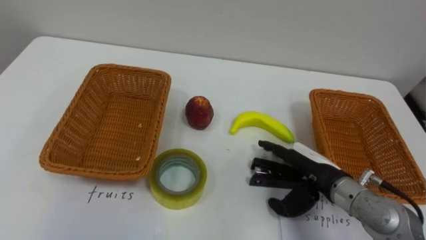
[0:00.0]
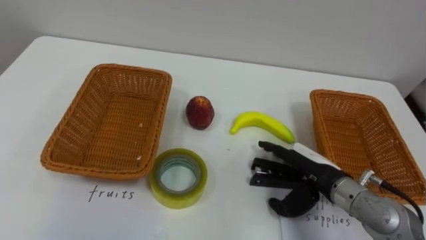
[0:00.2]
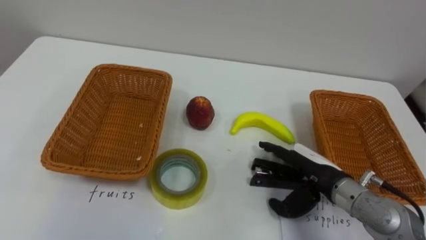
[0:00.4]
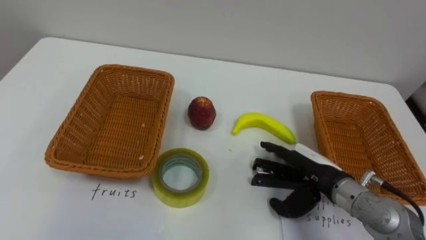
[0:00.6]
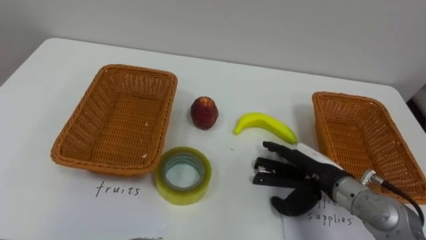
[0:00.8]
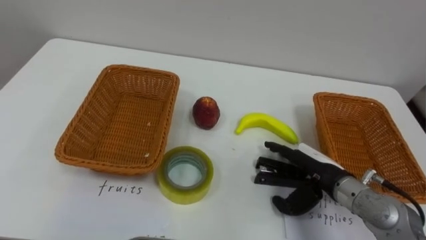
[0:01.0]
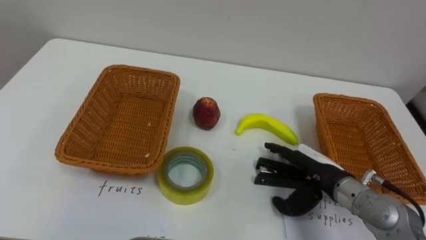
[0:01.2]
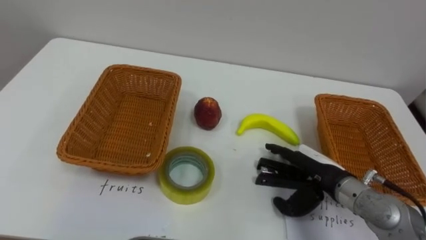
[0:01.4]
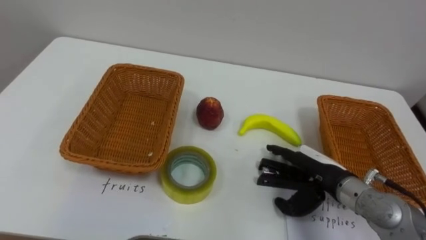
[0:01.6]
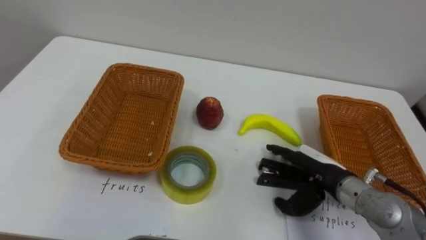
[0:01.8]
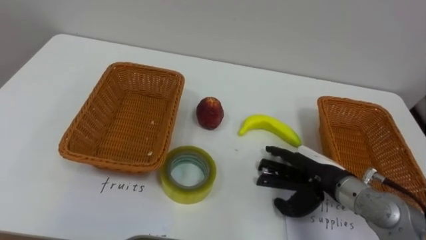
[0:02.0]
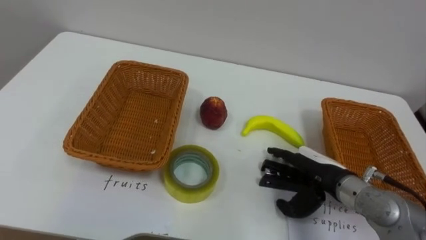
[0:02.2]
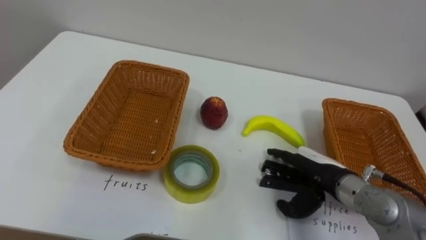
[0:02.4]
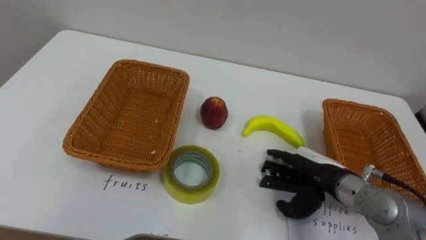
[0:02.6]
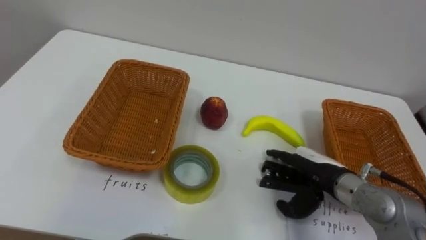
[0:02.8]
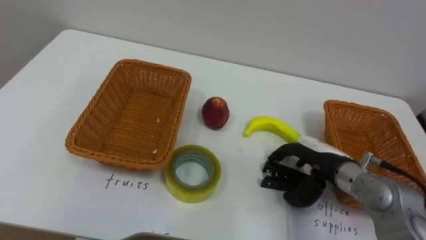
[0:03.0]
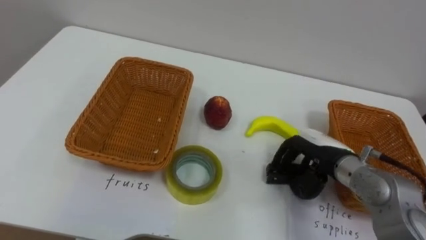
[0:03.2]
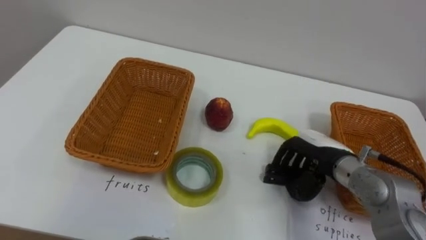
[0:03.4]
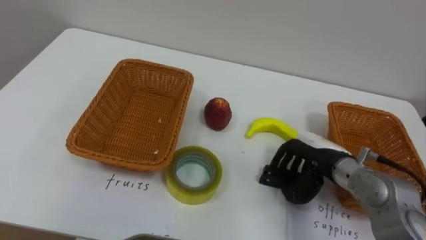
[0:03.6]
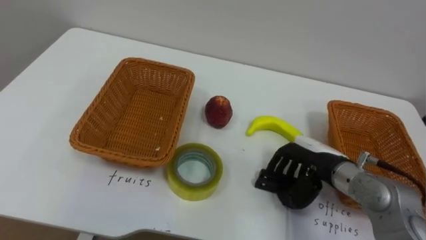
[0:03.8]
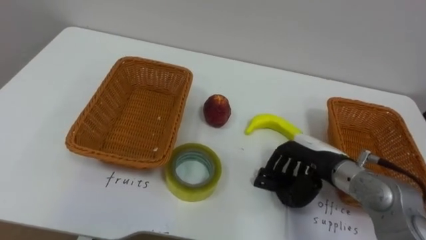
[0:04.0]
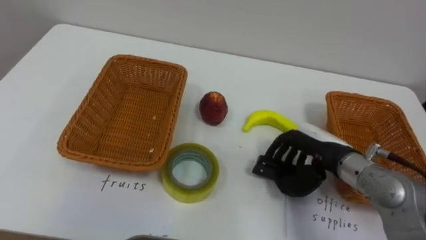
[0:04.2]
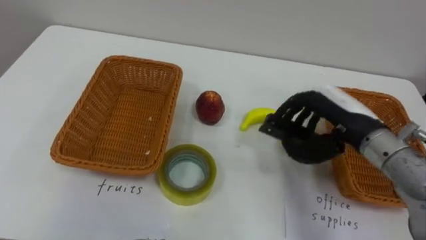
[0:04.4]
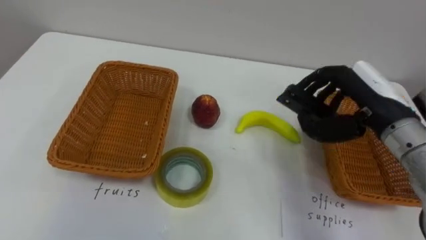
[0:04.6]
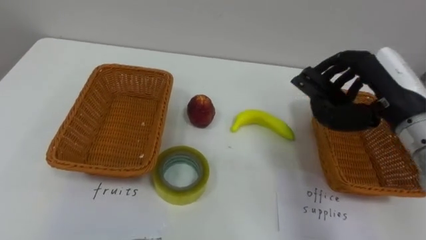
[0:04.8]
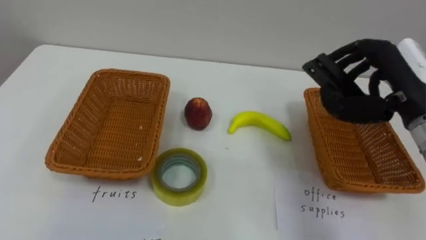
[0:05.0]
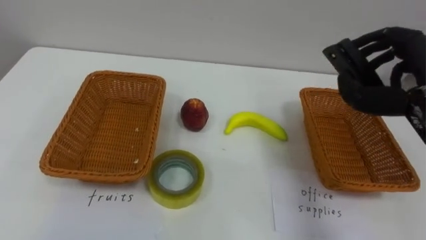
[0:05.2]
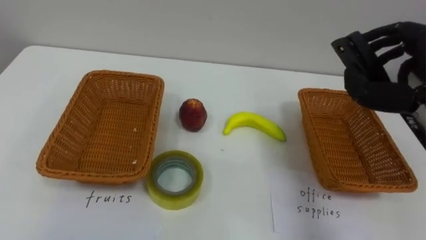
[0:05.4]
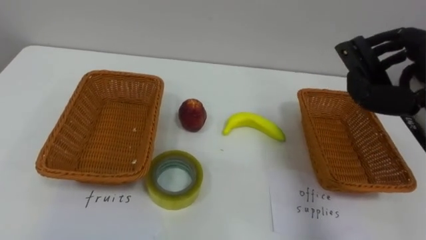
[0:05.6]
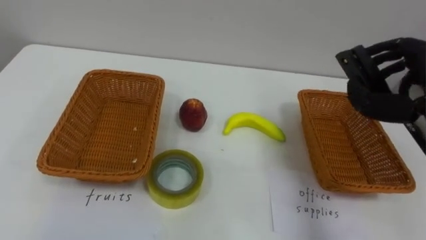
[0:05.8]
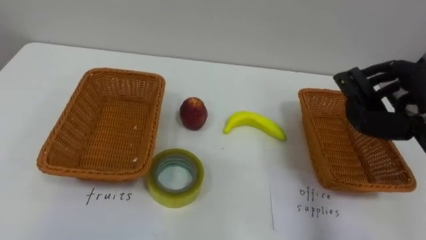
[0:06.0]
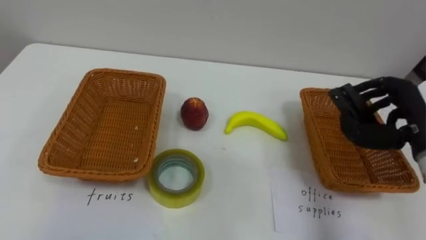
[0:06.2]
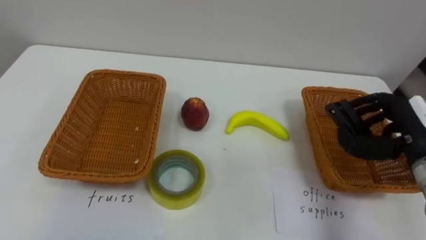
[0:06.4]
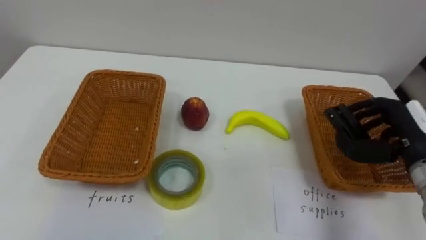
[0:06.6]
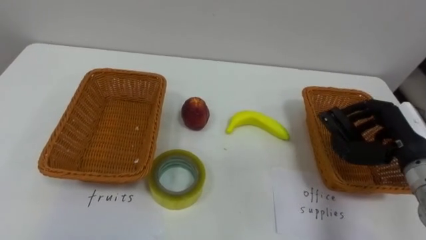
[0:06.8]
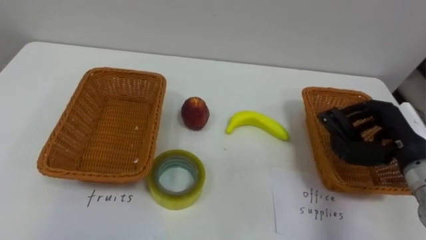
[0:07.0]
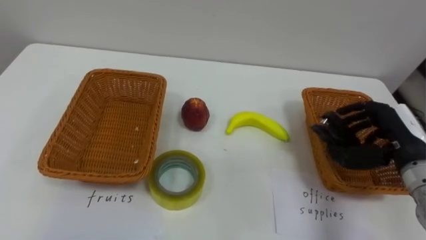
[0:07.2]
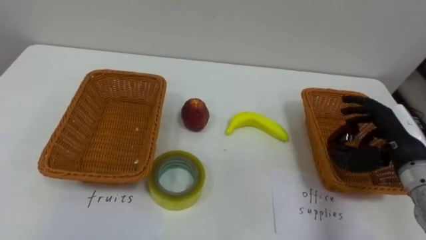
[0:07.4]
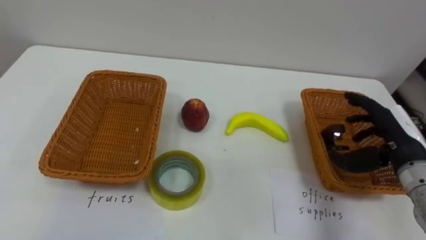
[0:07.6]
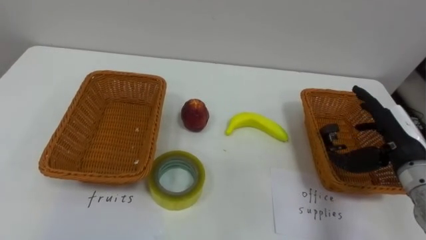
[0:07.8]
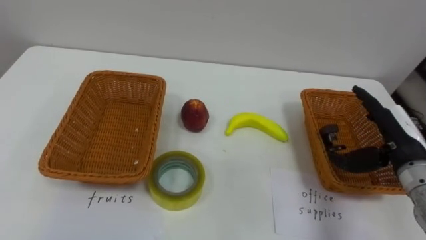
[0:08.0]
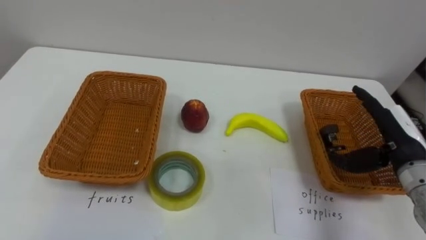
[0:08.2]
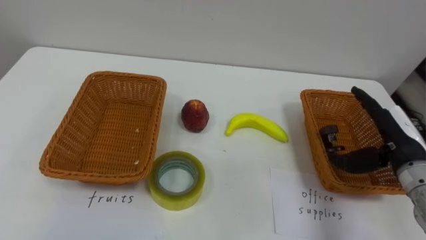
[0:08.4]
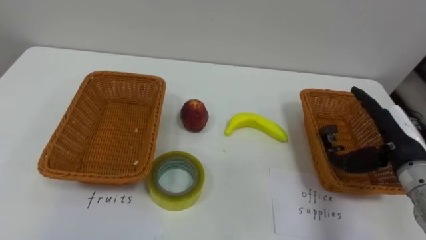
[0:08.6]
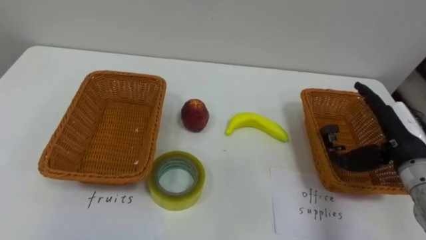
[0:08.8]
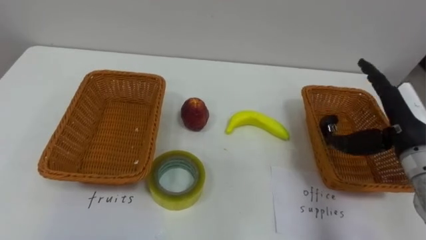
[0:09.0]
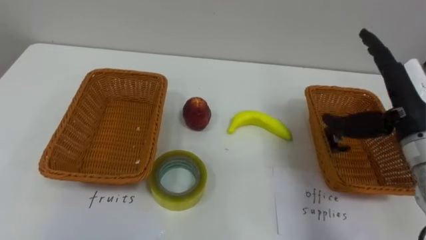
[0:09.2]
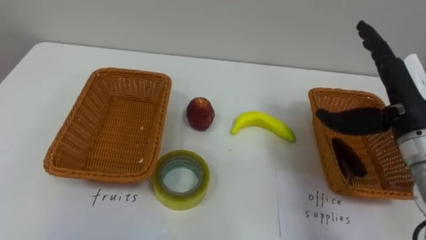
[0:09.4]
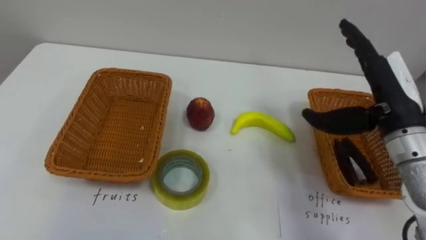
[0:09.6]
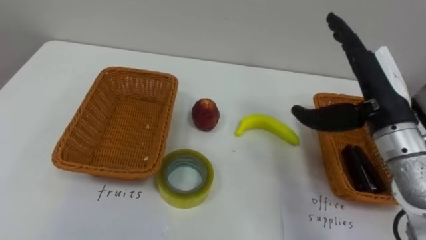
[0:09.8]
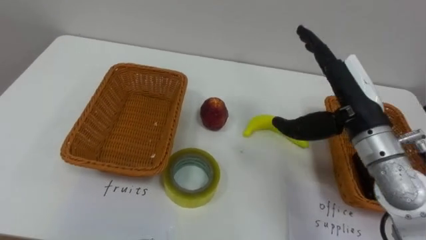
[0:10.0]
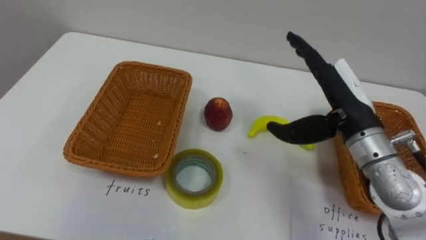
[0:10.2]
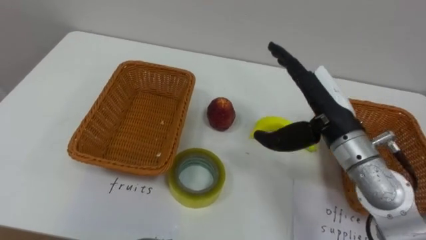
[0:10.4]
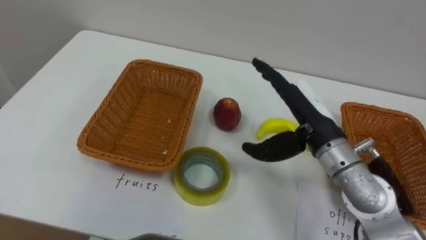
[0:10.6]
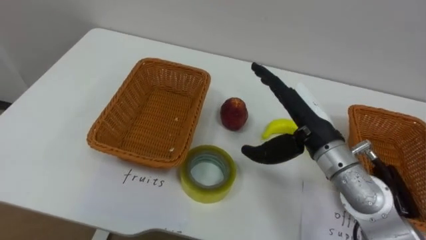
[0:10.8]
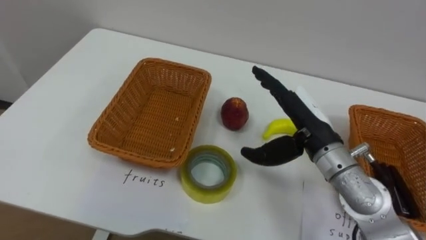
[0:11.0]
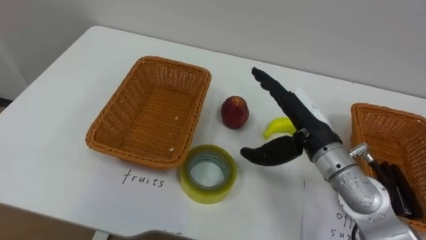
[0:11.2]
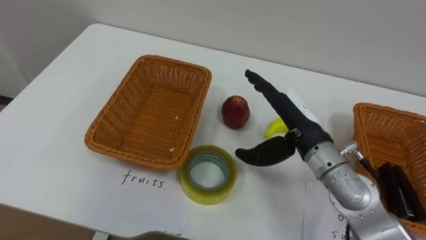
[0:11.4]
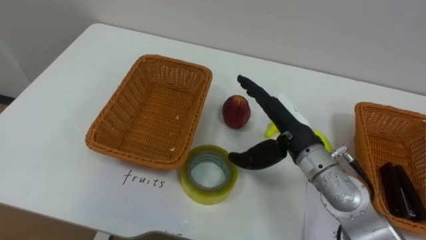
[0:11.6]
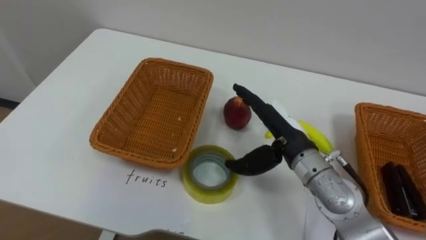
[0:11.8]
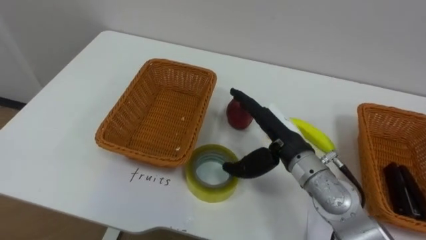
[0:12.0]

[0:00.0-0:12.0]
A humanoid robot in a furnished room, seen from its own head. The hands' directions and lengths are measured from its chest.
Task of the whole recording: Separate the items on the table and place them into the two baskets.
0:03.0 to 0:04.4: The right hand travels upward by about 10 cm, and closes.
0:09.0 to 0:10.4: The right hand is displaced to the left by approximately 15 cm.
0:10.4 to 0:12.0: The right hand is displaced downward and to the left by about 10 cm.

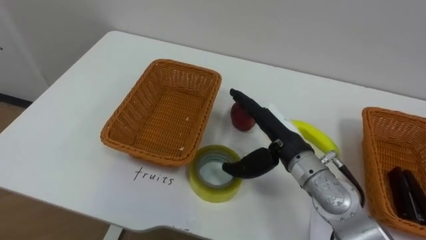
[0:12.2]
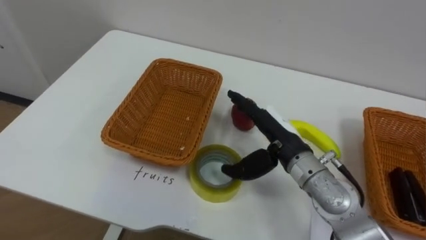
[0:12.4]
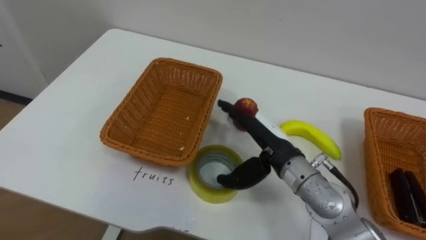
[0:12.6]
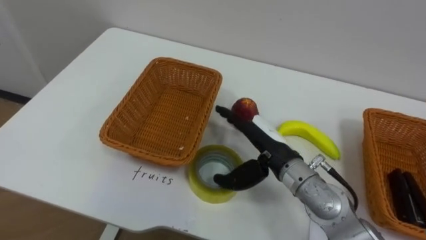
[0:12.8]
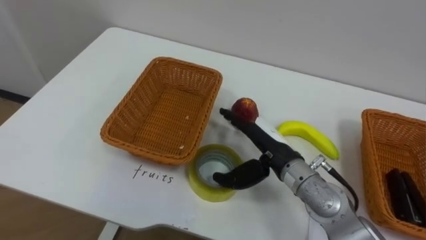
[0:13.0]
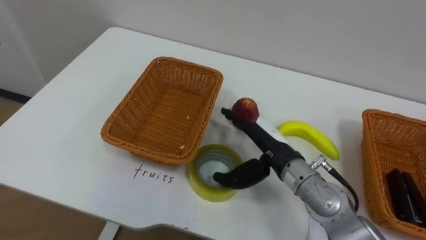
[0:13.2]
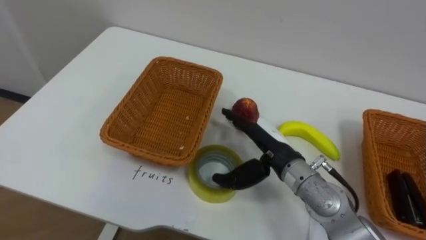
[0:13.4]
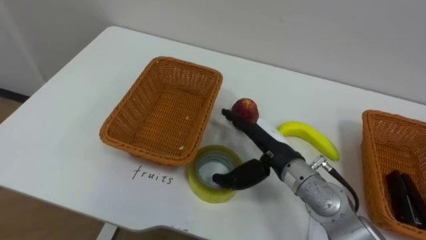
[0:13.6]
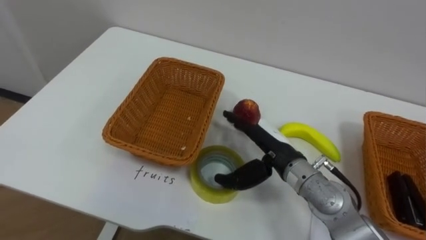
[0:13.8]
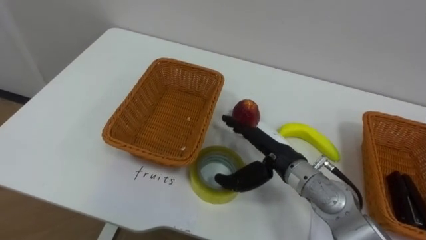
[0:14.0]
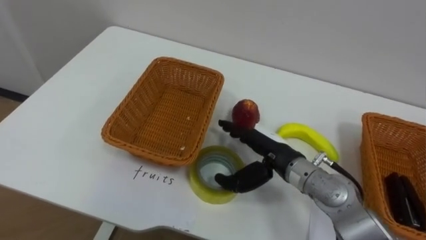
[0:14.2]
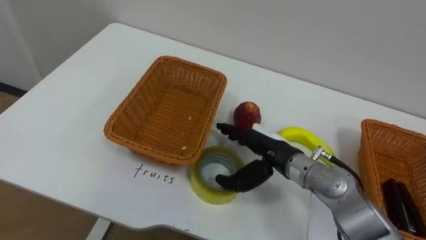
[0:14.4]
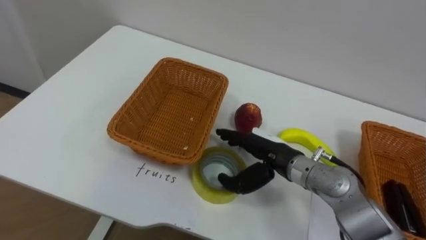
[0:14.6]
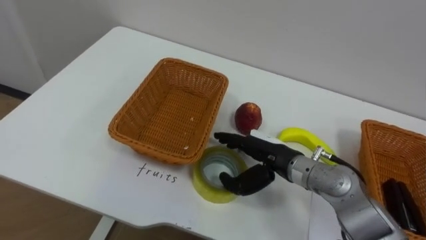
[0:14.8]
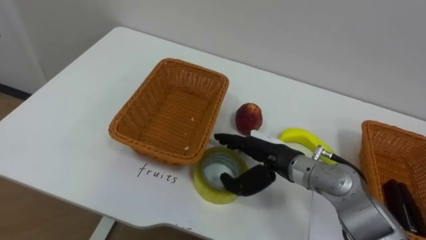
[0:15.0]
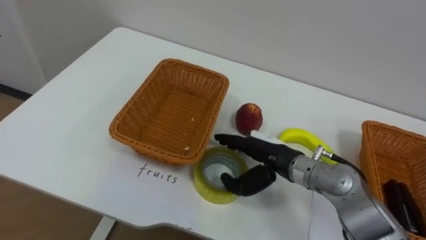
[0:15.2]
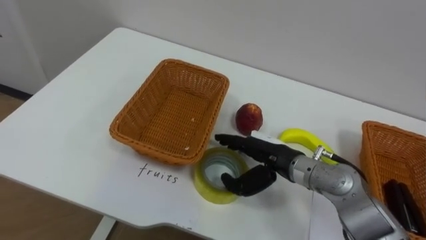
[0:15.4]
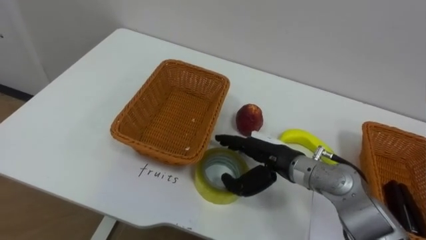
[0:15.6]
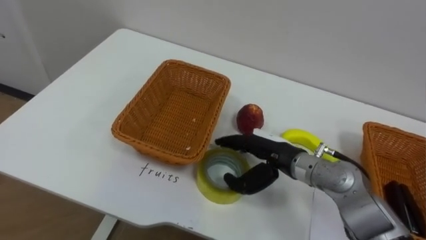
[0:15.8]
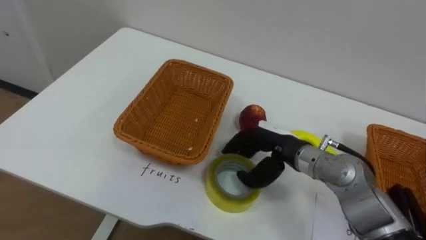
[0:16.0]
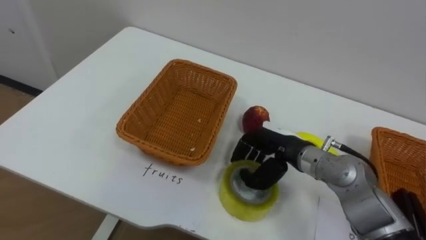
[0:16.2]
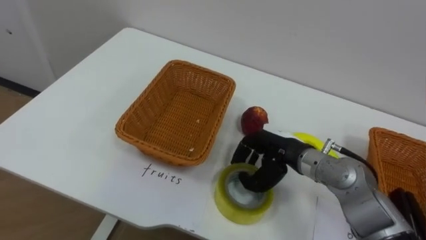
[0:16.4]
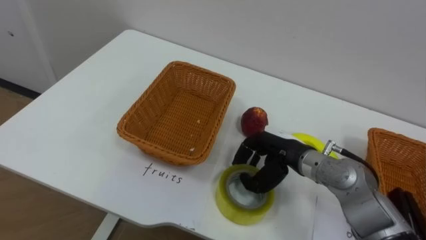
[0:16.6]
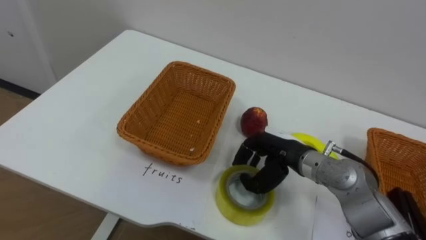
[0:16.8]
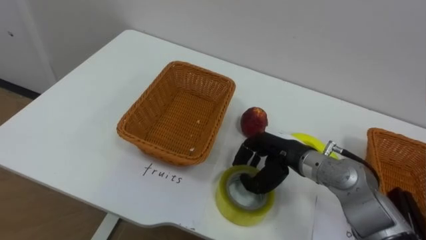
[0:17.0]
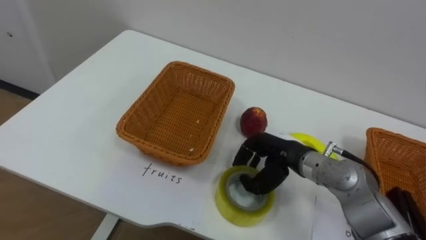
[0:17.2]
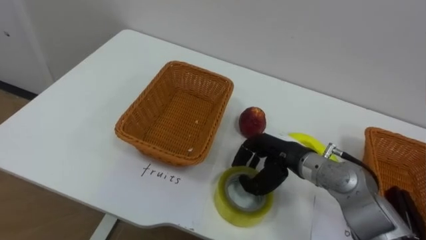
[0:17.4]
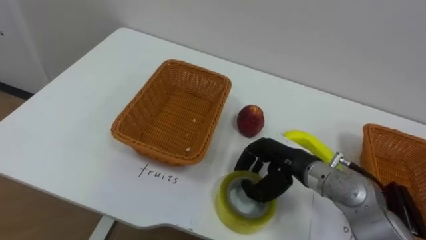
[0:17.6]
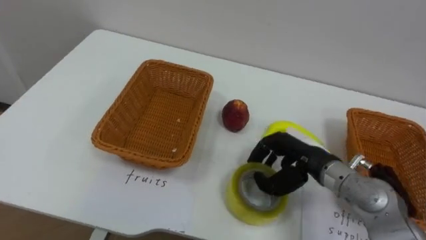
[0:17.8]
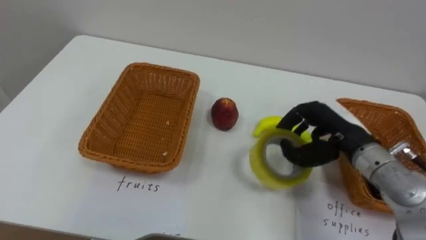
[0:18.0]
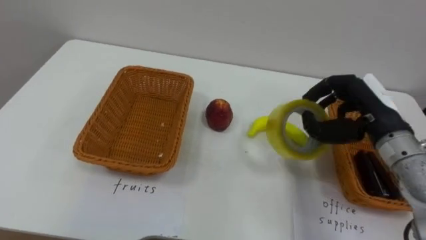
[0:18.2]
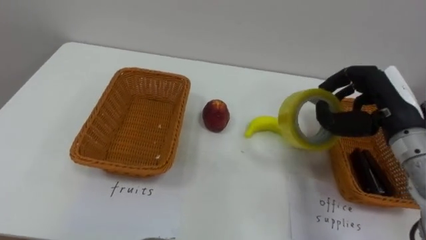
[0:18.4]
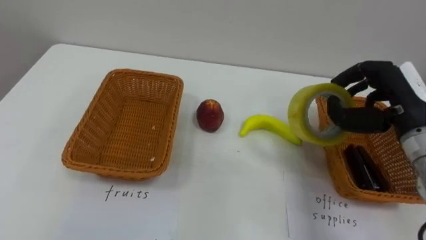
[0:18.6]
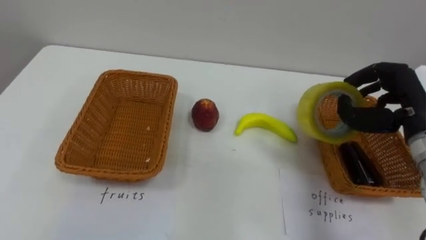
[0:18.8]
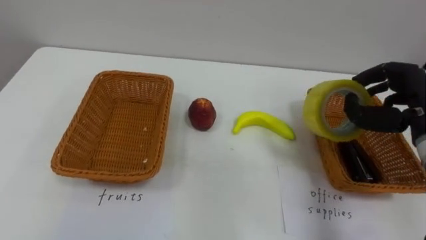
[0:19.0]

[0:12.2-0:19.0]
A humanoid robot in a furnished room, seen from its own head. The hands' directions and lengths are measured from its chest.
Task of the whole recording: Separate the items on the table and place them into the two baskets.
0:15.0 to 0:16.2: The right hand closes its fingers.
0:17.6 to 0:19.0: The right hand shifts some 20 cm to the right and upward.
